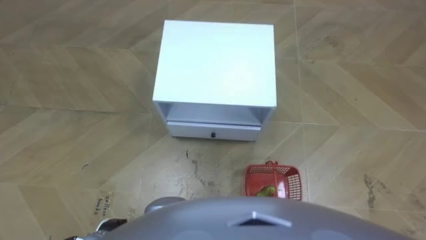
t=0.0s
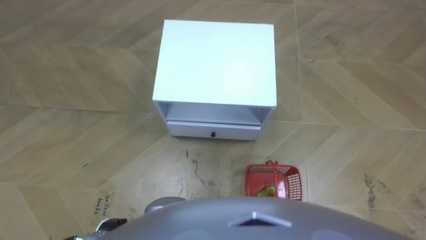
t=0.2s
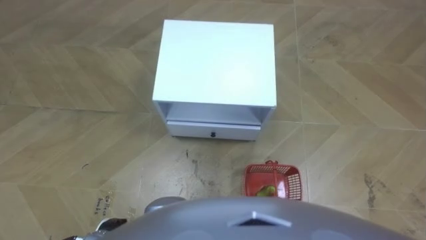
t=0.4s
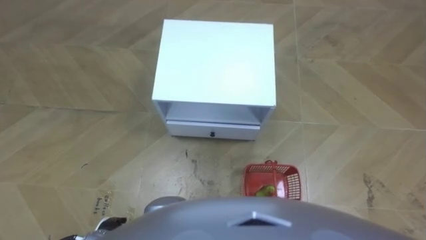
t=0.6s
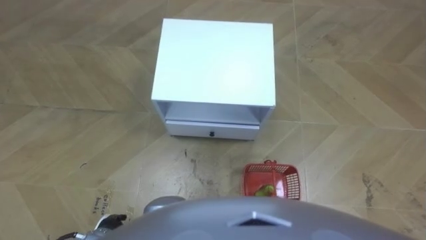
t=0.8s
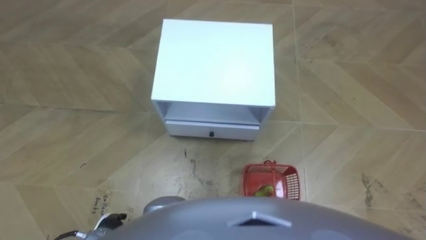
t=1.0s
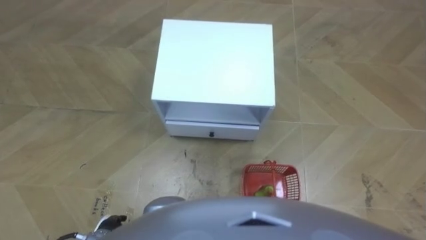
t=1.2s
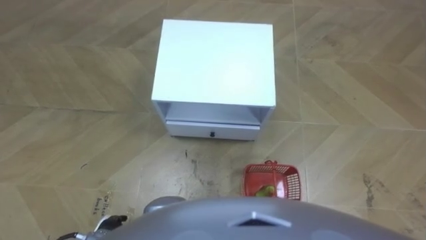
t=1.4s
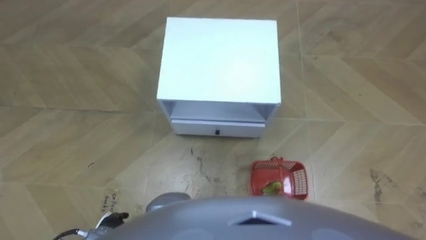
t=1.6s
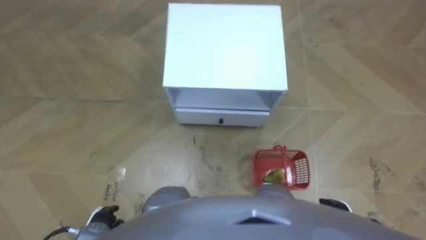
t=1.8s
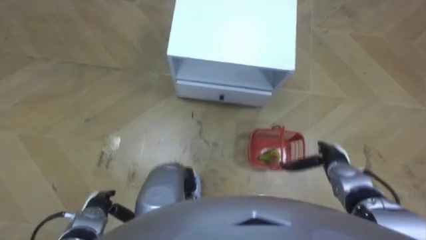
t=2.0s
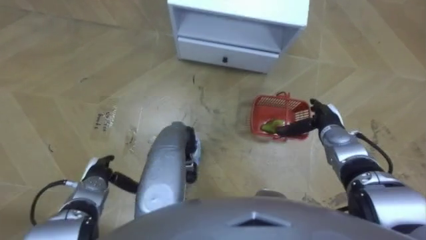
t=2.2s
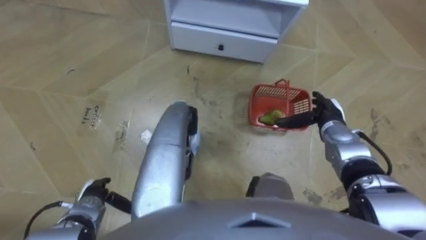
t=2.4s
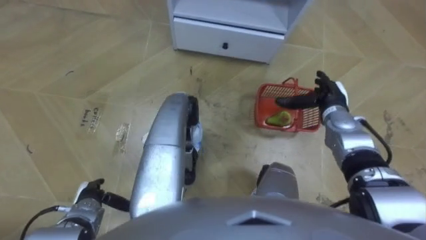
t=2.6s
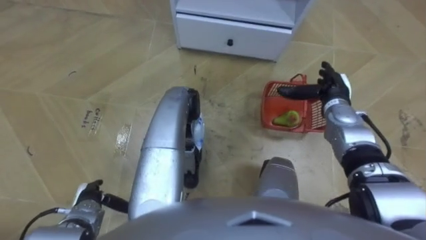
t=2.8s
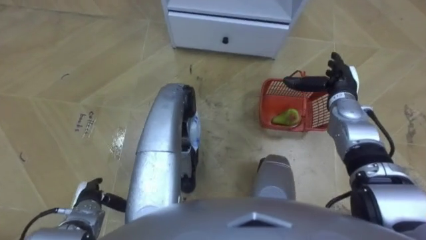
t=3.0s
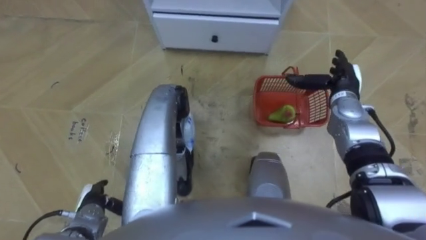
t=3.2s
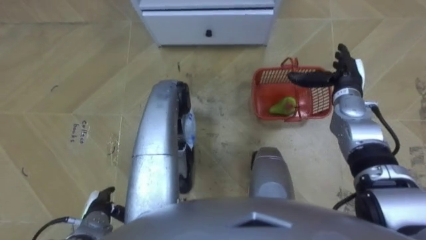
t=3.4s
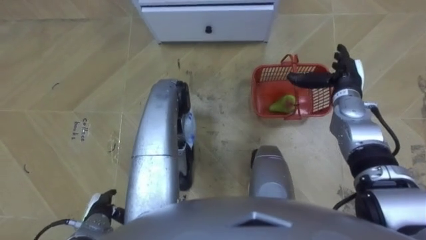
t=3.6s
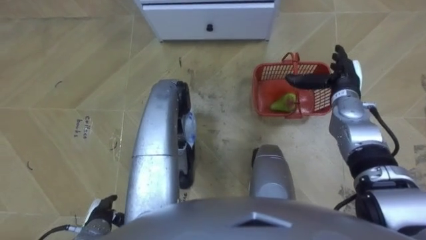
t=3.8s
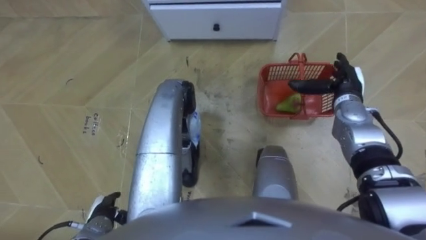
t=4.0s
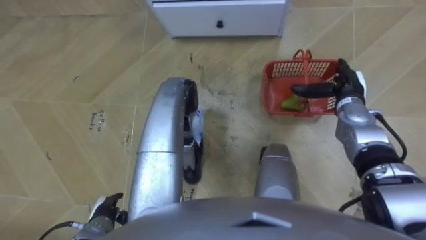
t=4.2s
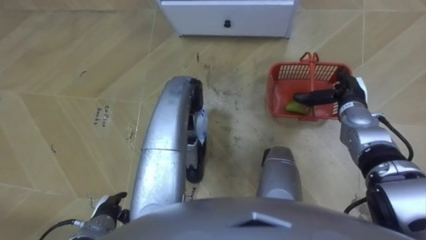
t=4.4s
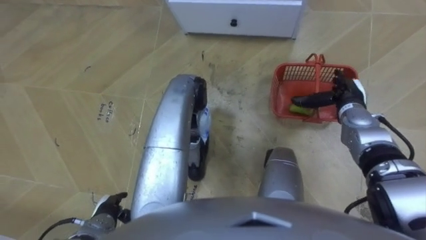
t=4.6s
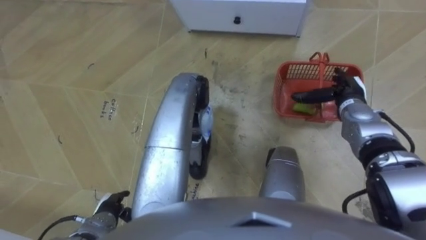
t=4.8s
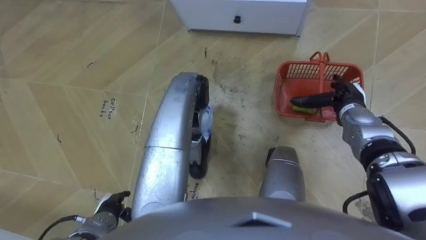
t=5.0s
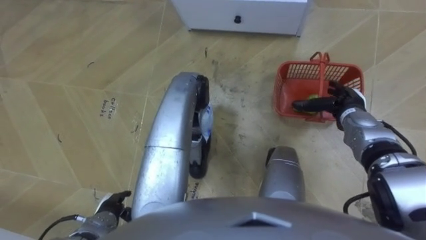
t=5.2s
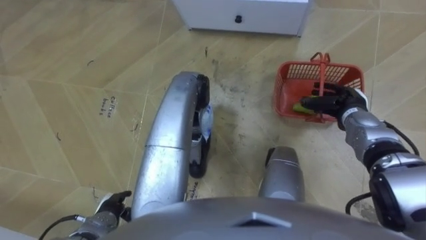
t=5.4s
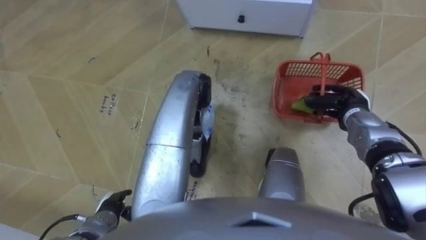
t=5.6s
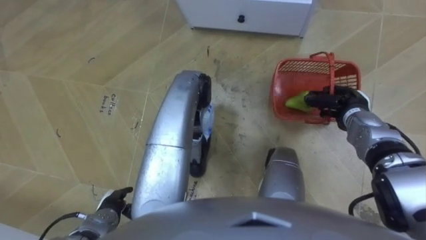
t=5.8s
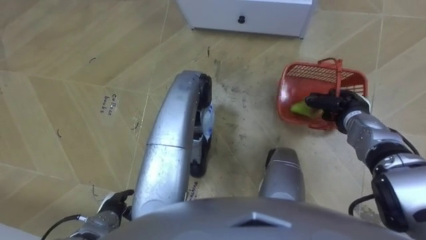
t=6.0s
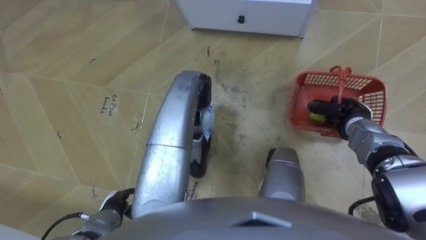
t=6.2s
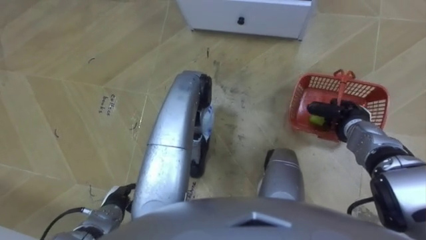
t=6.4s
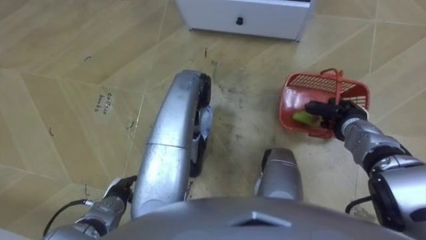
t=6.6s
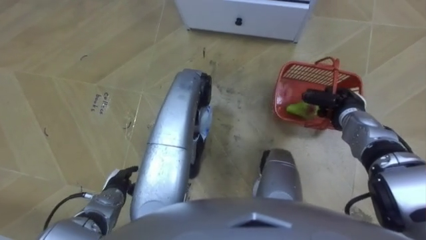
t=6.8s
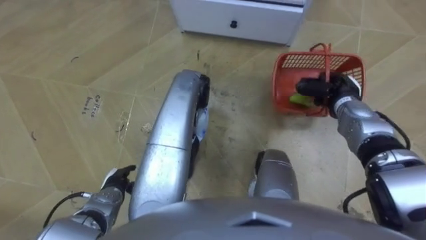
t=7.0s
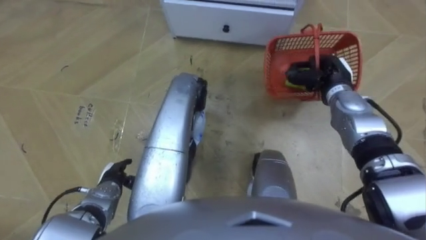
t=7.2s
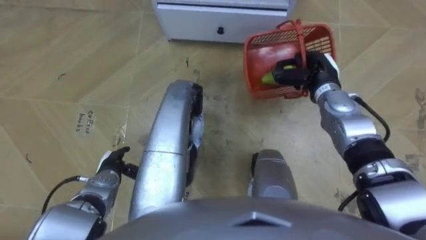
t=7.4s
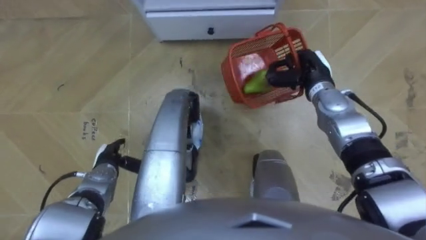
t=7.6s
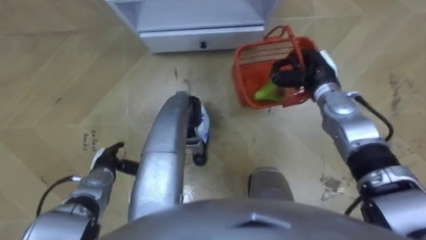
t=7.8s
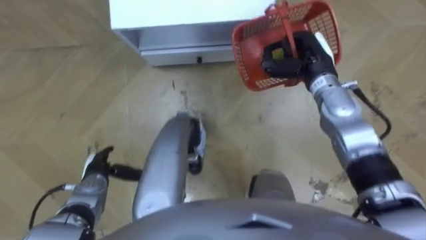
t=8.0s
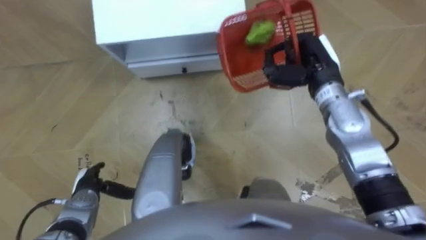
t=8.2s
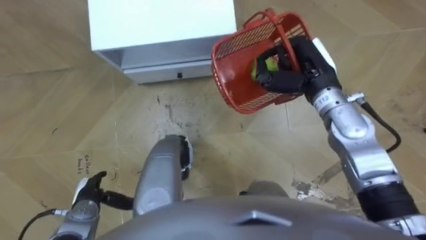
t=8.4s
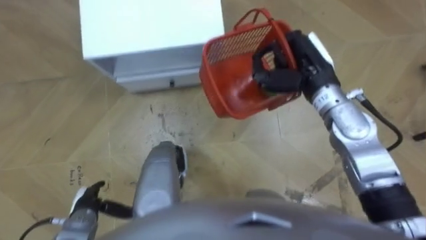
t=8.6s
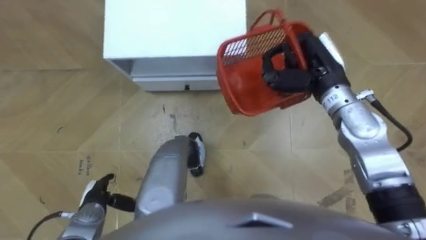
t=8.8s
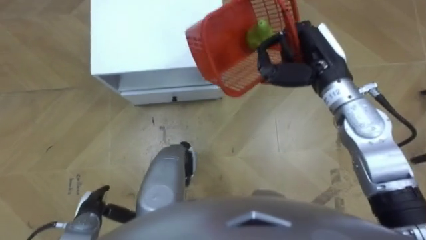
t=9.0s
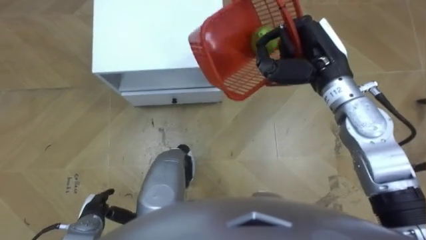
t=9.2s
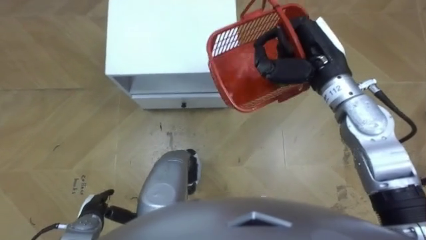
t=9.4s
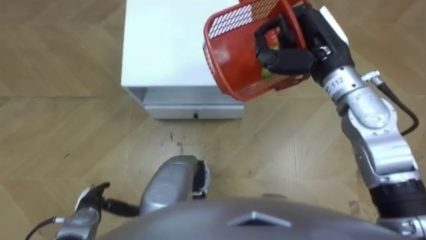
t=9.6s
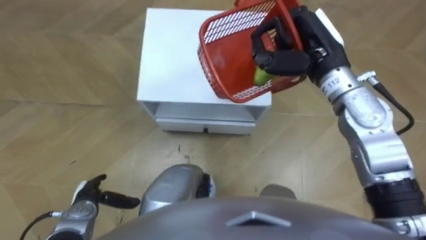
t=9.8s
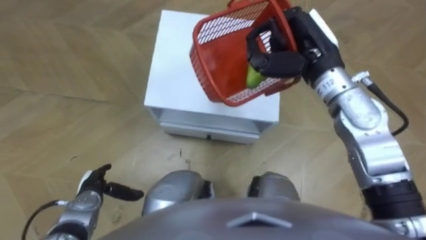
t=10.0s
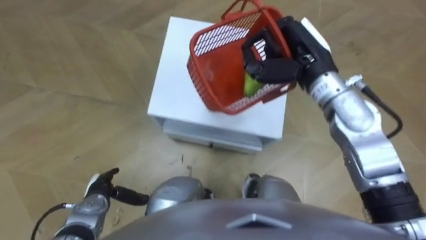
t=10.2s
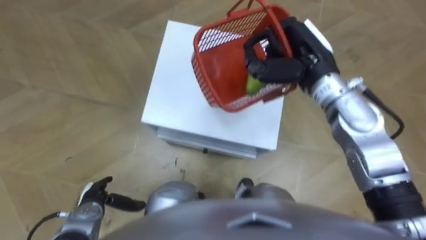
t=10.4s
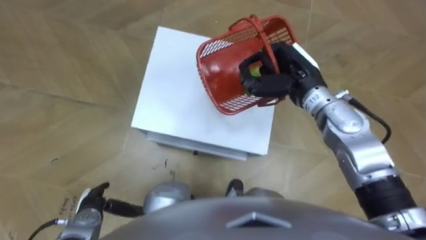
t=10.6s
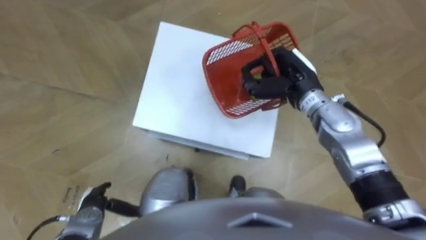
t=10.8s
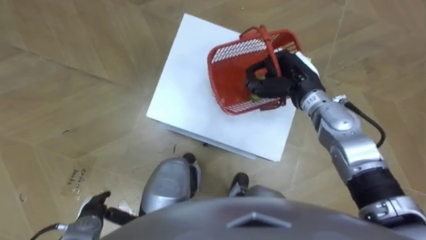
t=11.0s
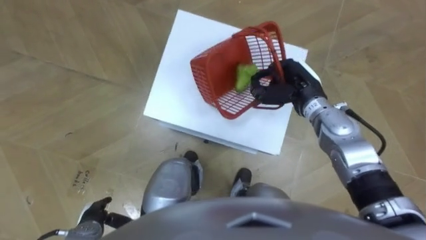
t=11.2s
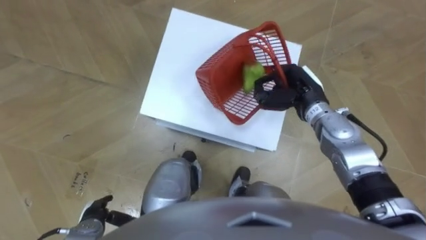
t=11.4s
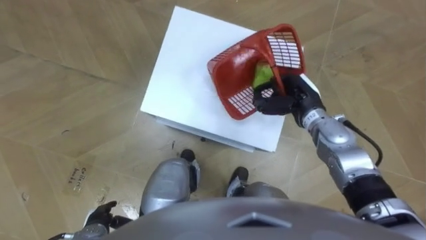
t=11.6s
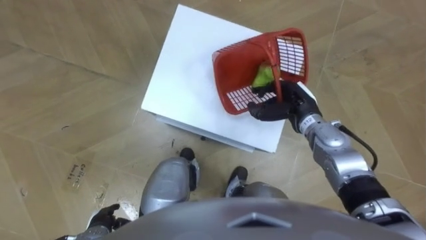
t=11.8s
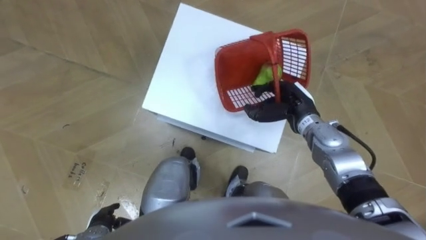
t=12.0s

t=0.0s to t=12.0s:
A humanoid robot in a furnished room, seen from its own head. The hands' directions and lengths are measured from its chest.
Task of the whole recording: Pick up the fruit basket from the floor and place it on the cabinet.
t=1.6s to t=3.0s: The left hand moves forward, roughly 5 cm; the right hand travels forward and upward by roughly 35 cm.
t=3.0s to t=4.4s: The left hand moves approximately 5 cm.
t=4.4s to t=6.0s: The right hand closes up.
t=6.0s to t=7.6s: The right hand shifts some 10 cm to the left, upward and forward; the left hand shifts roughly 10 cm forward.
t=7.6s to t=9.0s: The right hand is displaced upward by roughly 10 cm; the left hand moves backward, approximately 10 cm.
t=10.4s to t=12.0s: The right hand heads downward, covering approximately 15 cm; the left hand goes approximately 5 cm backward.

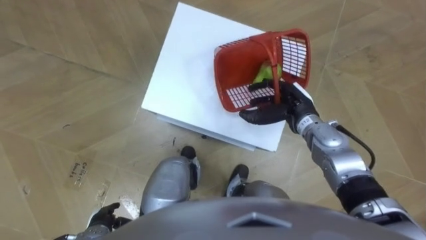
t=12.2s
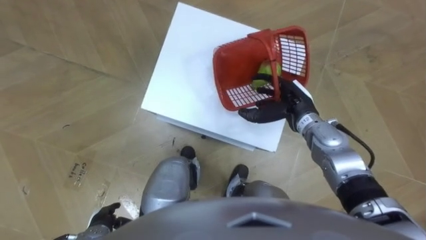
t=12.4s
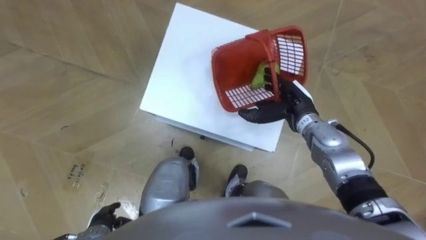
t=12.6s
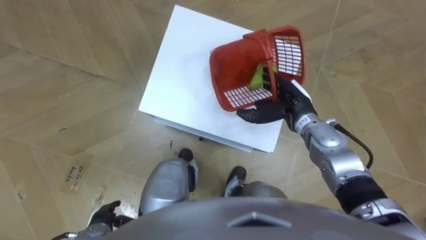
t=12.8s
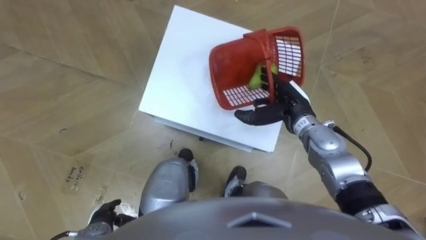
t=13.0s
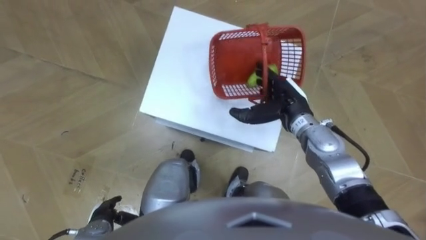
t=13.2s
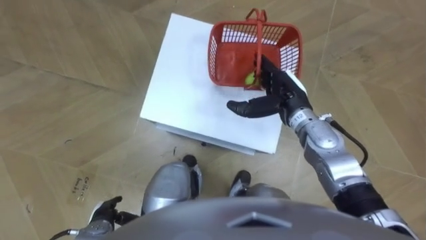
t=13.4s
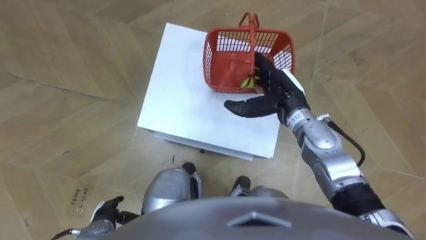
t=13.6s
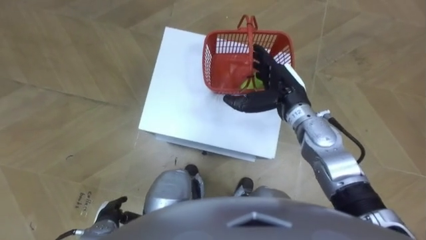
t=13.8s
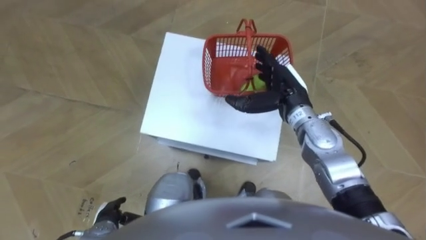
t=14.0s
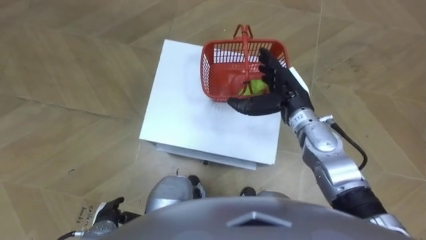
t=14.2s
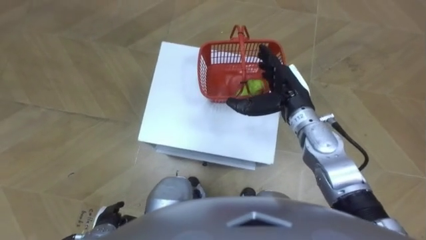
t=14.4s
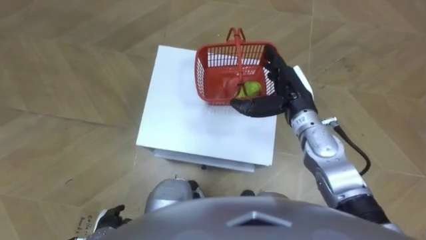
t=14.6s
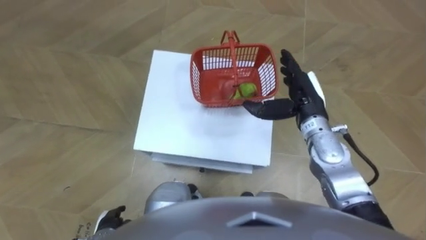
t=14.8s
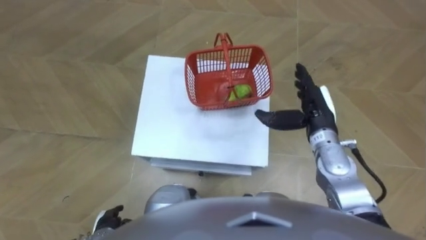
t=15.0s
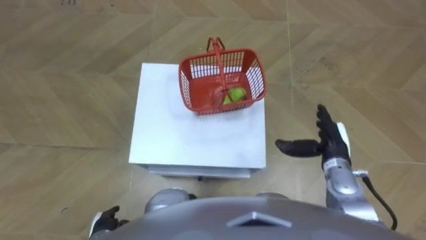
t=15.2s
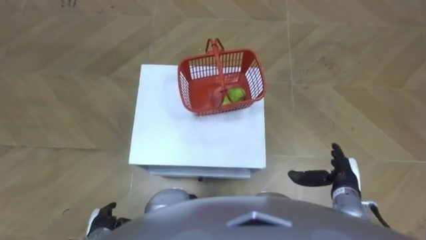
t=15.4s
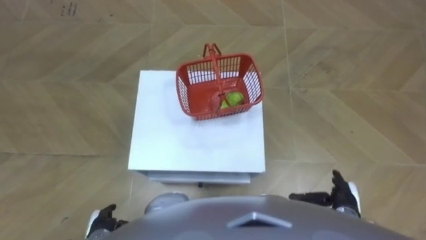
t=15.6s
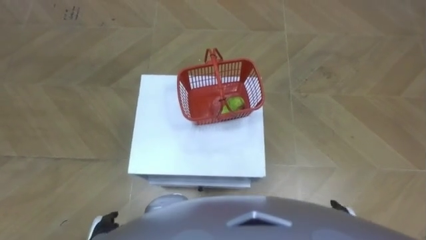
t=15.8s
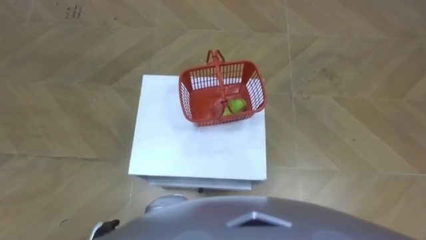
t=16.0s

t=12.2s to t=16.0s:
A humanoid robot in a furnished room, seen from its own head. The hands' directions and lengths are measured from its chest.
Task of the whole recording: Pick up the fruit basket from the floor and place it on the cabinet.
t=14.8s to t=16.0s: The right hand shifts some 30 cm backward and downward.

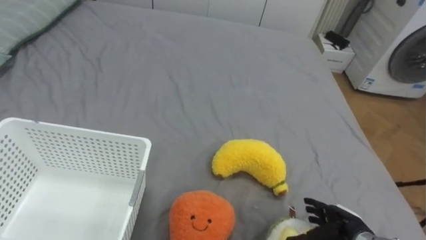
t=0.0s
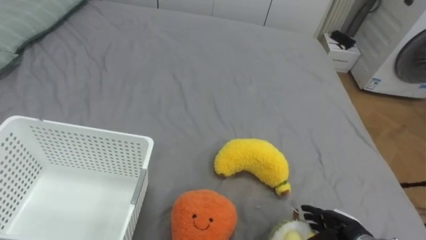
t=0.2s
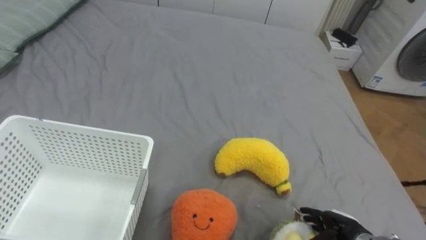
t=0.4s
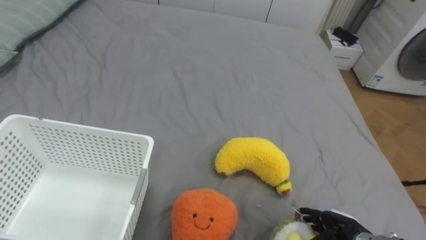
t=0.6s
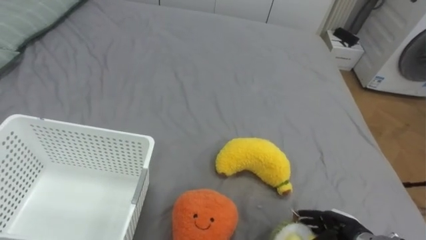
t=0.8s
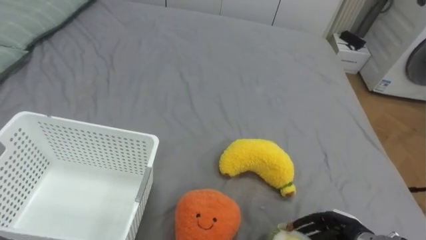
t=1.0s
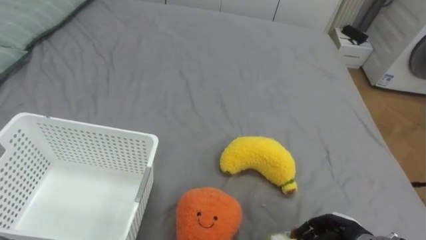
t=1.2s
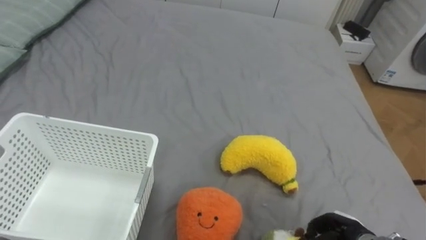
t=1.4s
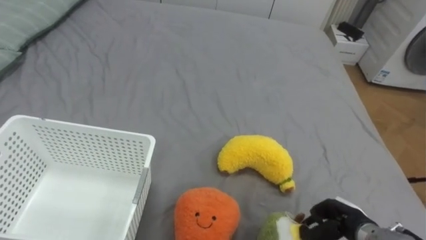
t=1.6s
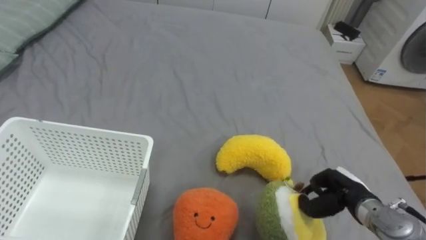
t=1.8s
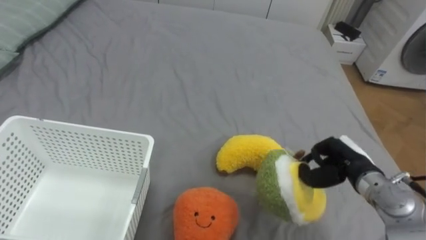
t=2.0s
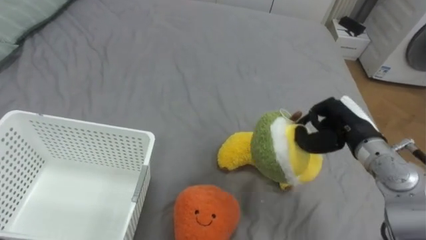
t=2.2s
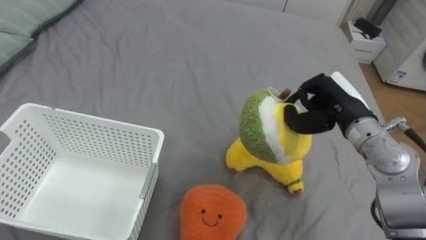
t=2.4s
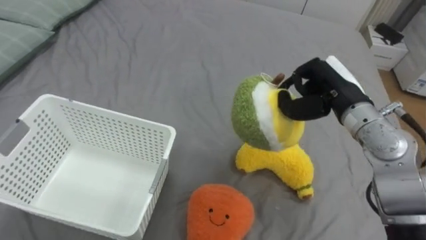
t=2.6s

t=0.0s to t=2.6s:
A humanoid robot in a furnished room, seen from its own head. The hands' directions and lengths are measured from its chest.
Task of the whole recording: Put the toys on the bed into the basket on the left.
t=0.0s to t=1.2s: The right hand closes.
t=1.2s to t=2.6s: The right hand goes roughly 30 cm upward and forward.
